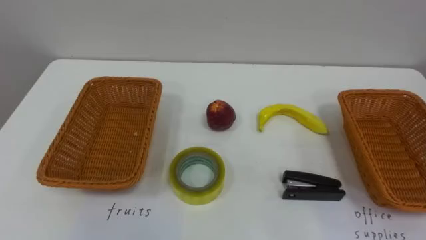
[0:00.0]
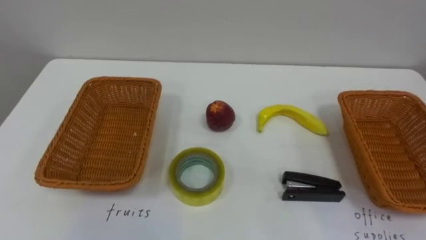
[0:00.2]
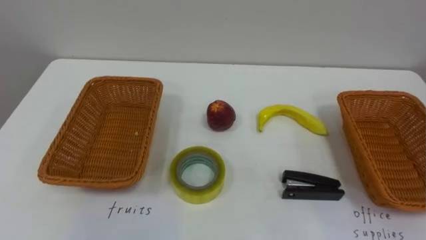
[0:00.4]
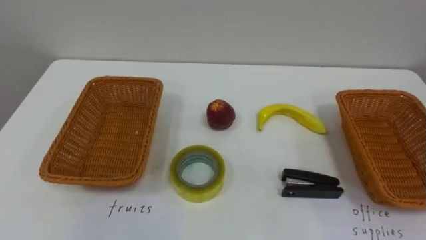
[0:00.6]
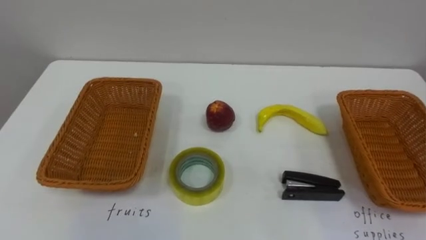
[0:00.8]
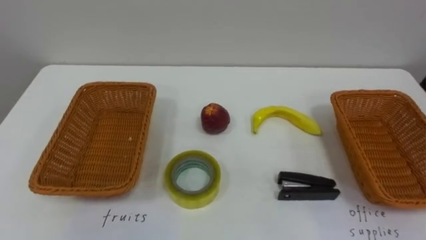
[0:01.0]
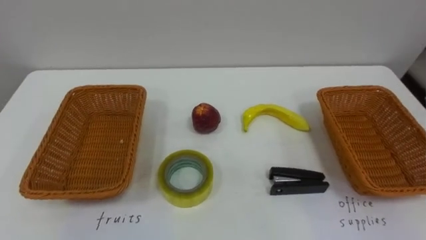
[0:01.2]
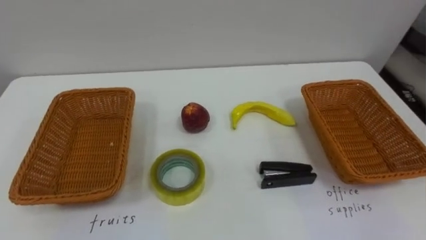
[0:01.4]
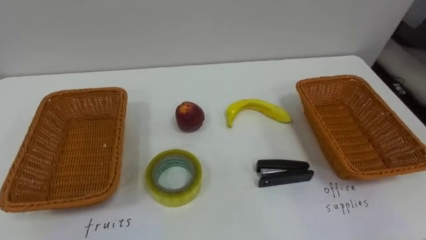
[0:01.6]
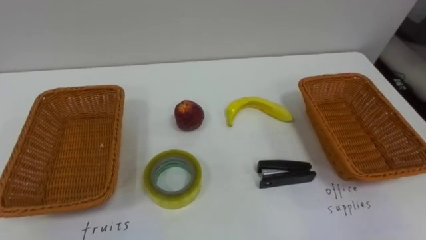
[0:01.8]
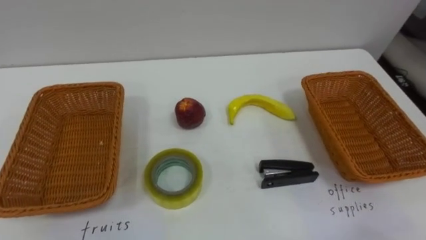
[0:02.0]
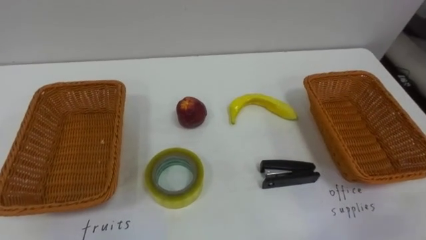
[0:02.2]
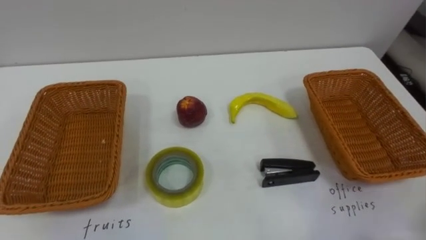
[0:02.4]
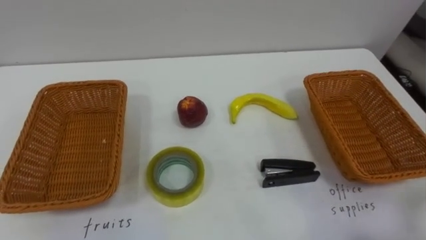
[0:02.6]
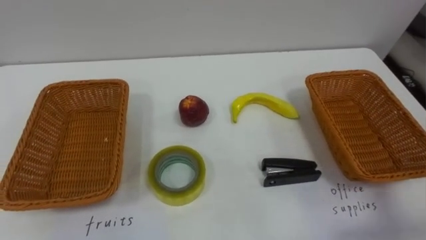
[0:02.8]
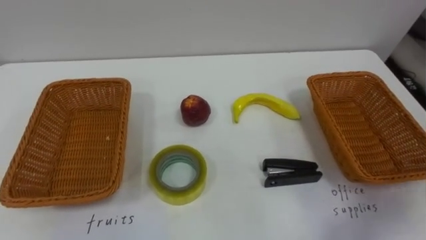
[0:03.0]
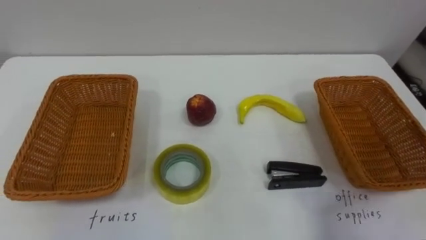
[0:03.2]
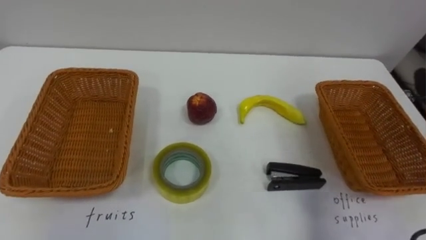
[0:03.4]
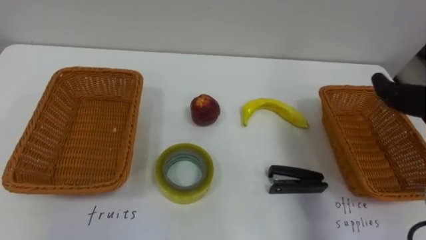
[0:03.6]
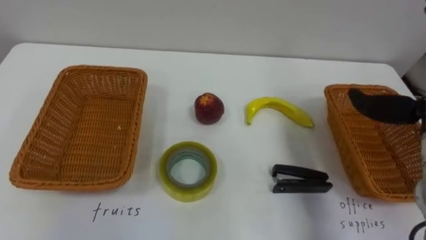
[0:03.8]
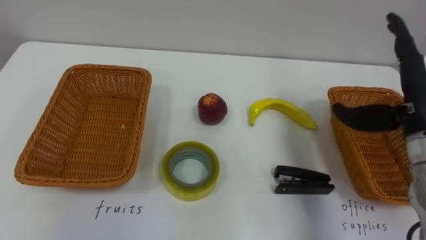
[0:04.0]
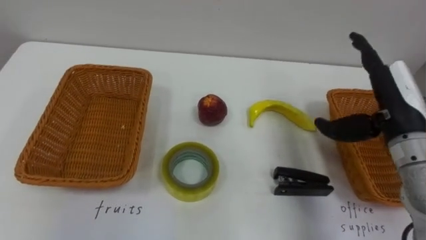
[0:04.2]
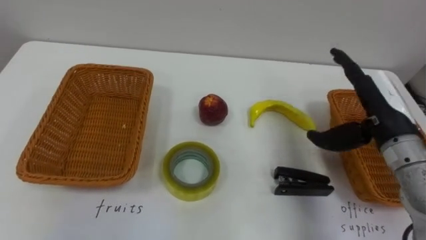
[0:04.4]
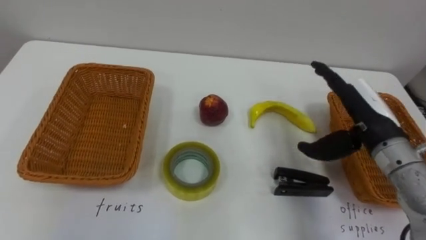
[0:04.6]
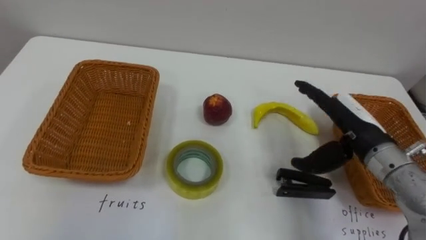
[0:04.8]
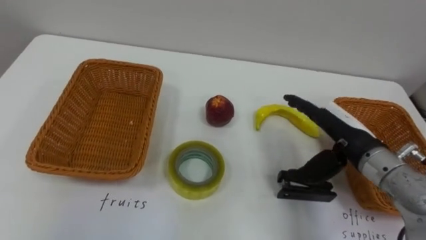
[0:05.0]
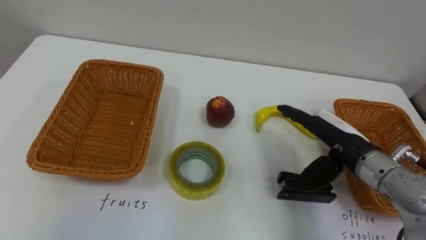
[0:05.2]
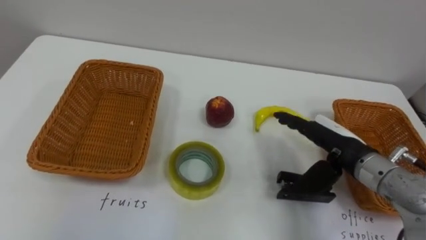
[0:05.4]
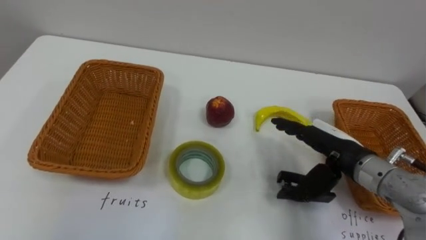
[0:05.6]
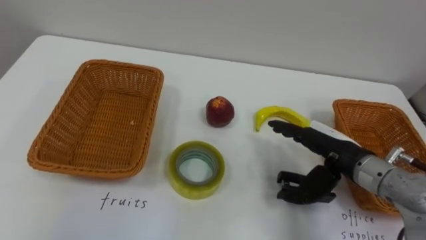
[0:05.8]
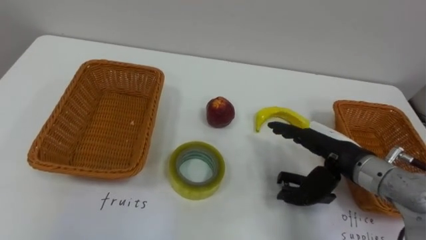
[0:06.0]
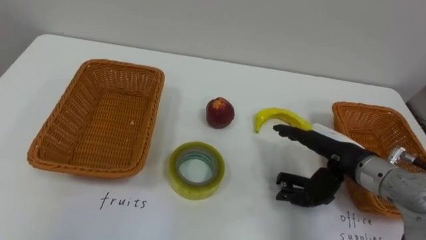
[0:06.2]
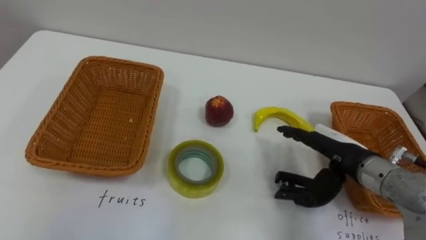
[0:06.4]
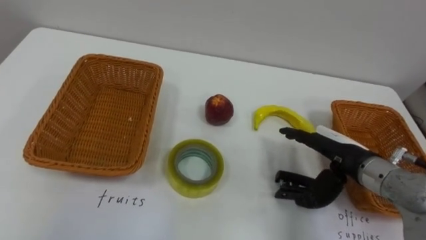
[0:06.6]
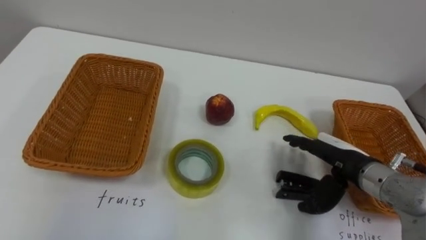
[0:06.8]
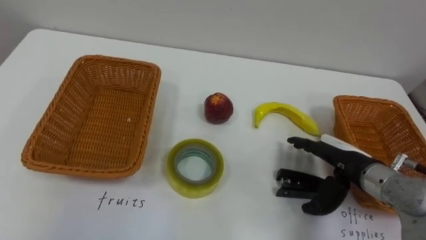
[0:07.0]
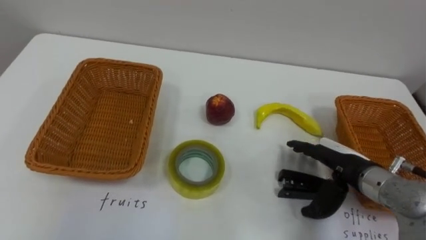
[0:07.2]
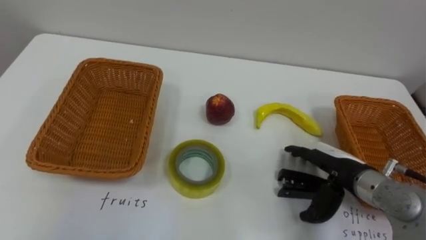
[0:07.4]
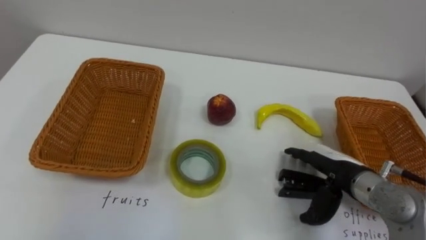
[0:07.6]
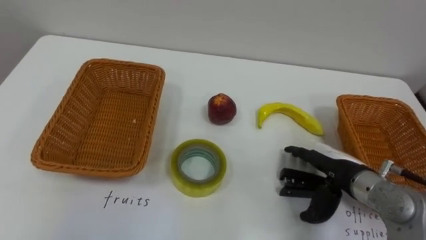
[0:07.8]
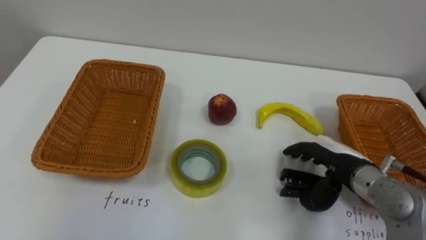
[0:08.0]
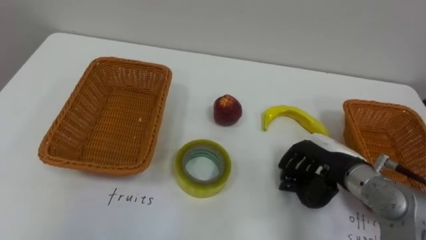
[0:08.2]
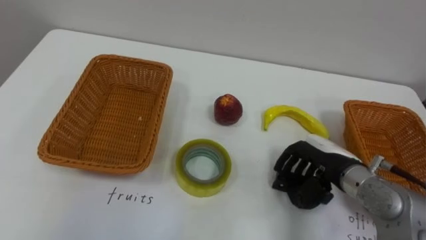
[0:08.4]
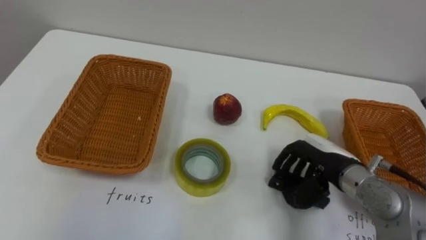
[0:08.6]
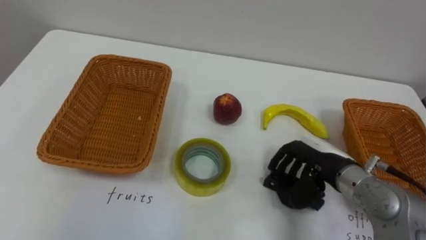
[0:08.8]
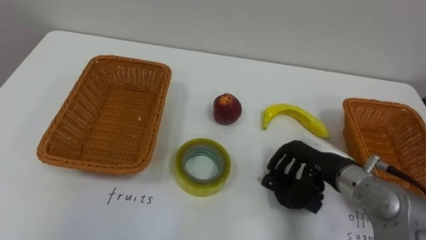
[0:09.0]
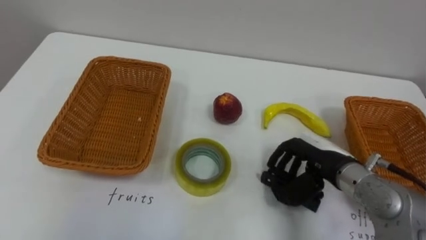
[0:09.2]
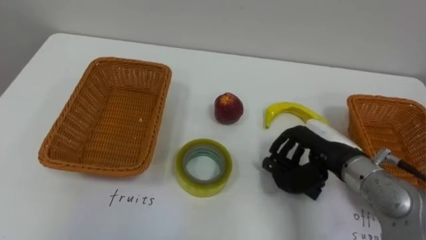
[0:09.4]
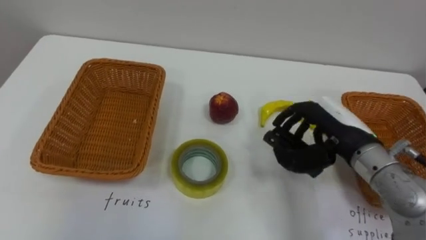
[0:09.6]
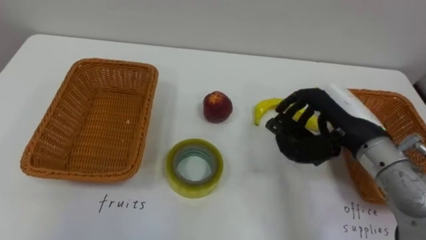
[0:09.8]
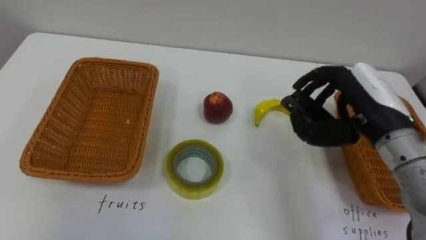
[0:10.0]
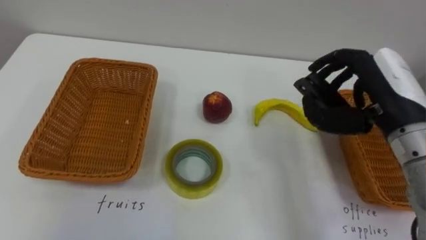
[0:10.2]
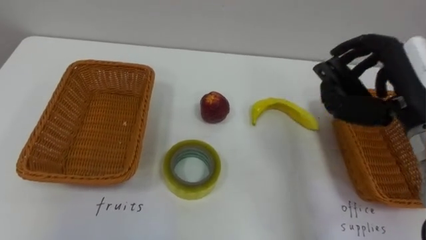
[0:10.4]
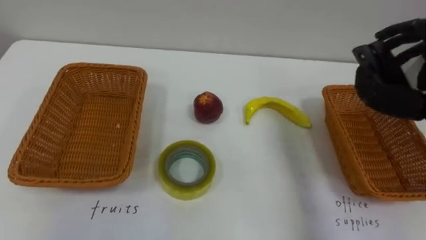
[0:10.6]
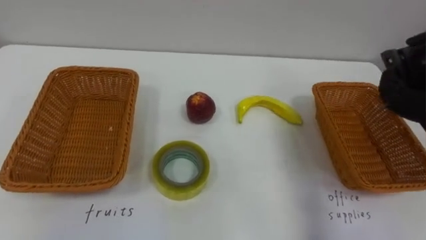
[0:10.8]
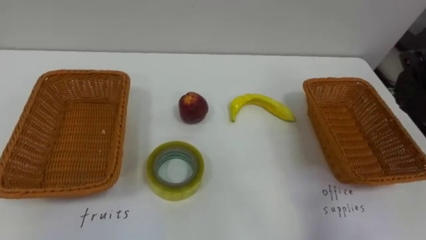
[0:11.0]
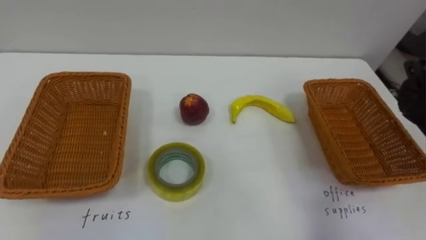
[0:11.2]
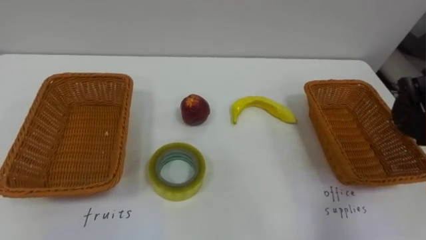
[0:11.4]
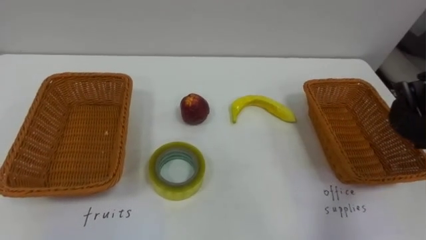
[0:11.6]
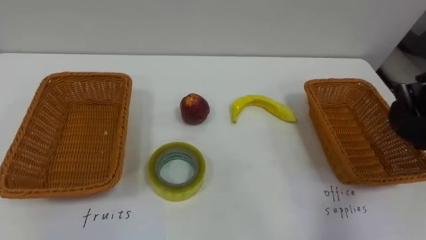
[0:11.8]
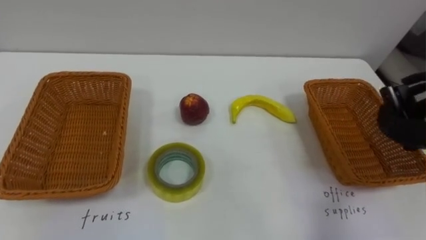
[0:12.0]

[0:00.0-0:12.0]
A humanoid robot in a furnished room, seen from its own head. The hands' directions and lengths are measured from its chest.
Task of the whole recording: Separate the items on the table and place them into the two baskets.
0:04.4 to 0:06.0: The right hand moves downward and to the left, roughly 10 cm.
0:06.0 to 0:07.6: The right hand moves roughly 5 cm.
0:07.6 to 0:09.0: The right hand closes up.
0:09.0 to 0:10.4: The right hand is displaced upward by about 15 cm.

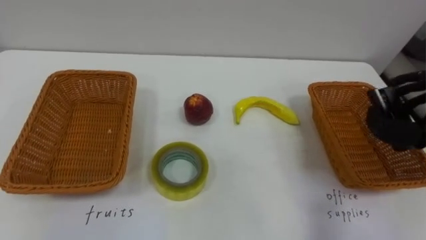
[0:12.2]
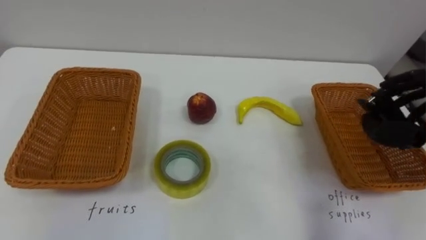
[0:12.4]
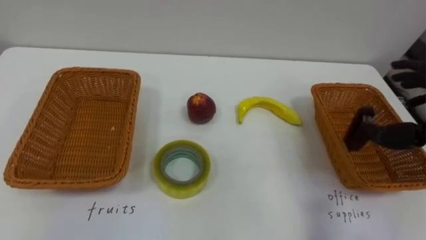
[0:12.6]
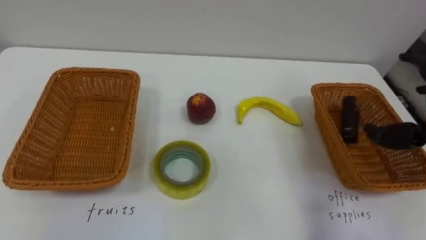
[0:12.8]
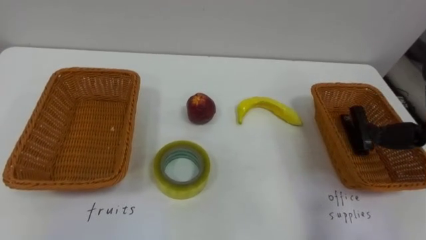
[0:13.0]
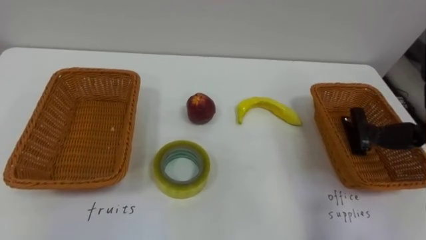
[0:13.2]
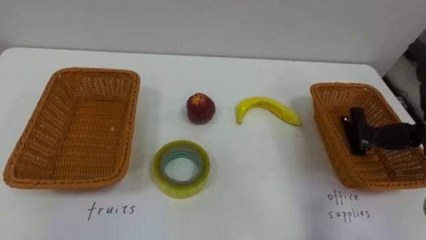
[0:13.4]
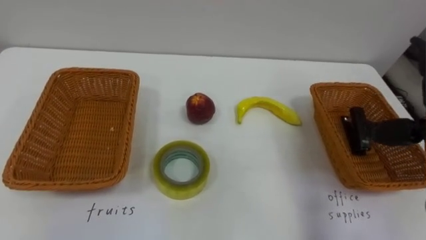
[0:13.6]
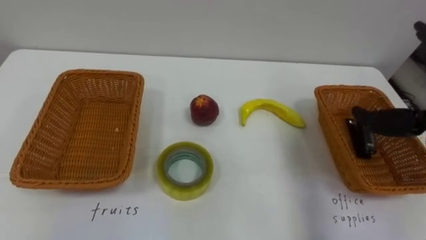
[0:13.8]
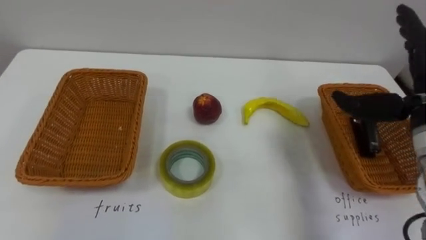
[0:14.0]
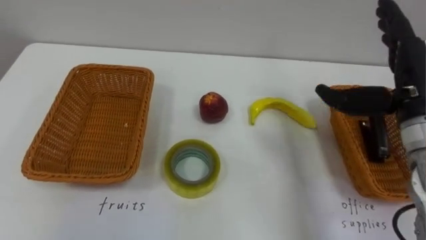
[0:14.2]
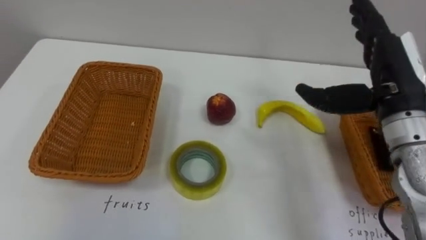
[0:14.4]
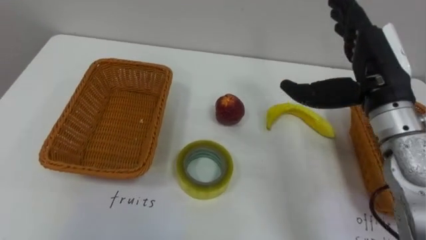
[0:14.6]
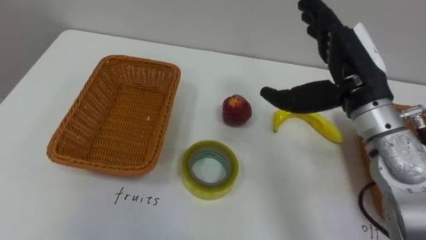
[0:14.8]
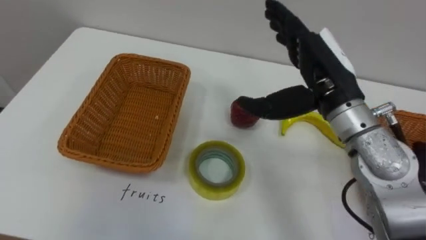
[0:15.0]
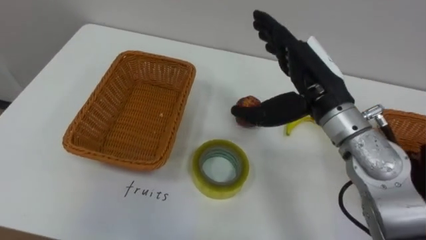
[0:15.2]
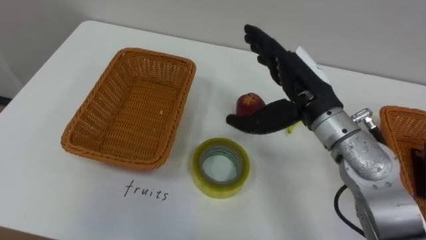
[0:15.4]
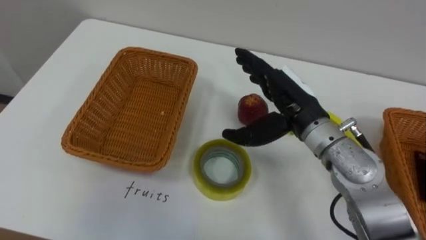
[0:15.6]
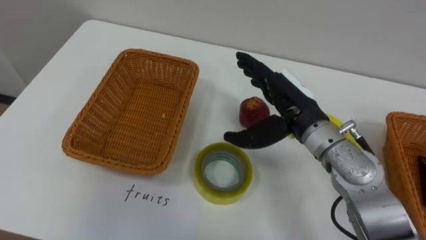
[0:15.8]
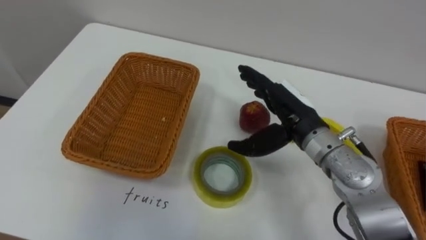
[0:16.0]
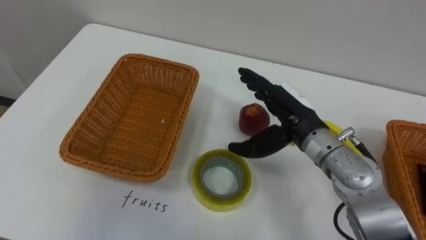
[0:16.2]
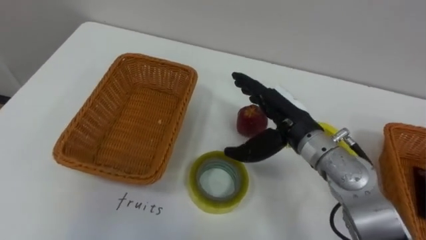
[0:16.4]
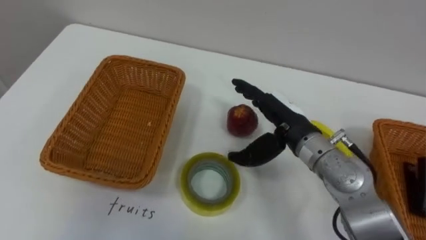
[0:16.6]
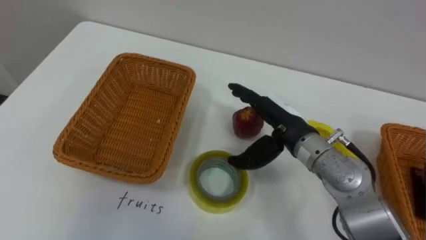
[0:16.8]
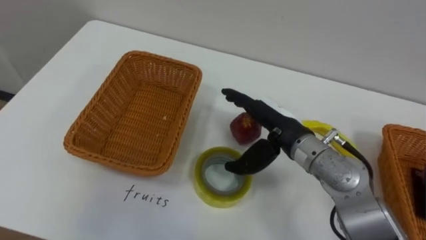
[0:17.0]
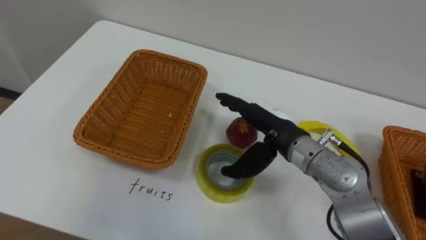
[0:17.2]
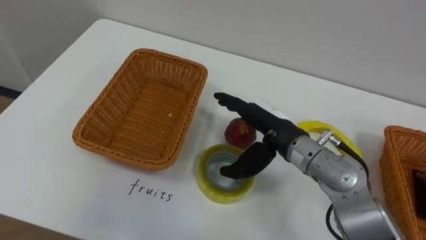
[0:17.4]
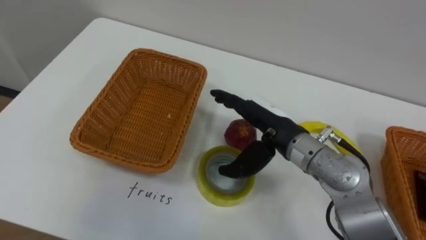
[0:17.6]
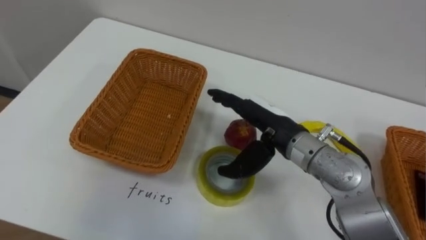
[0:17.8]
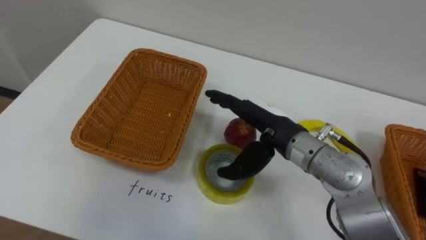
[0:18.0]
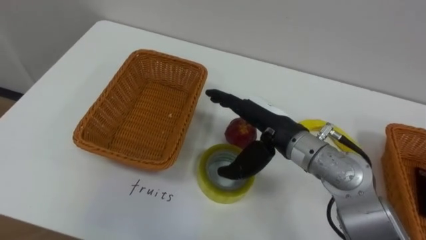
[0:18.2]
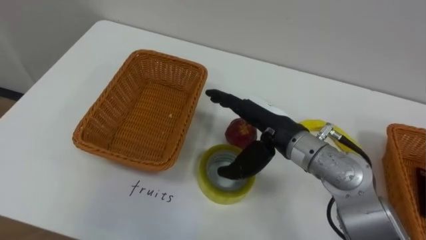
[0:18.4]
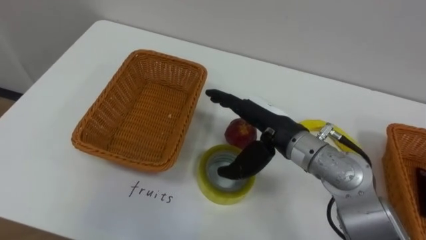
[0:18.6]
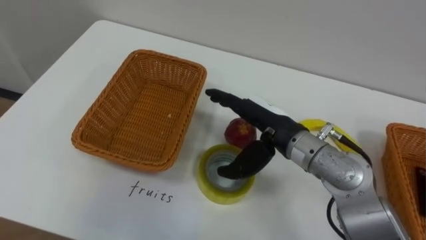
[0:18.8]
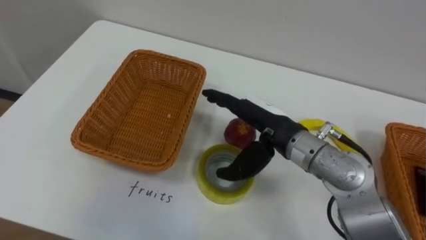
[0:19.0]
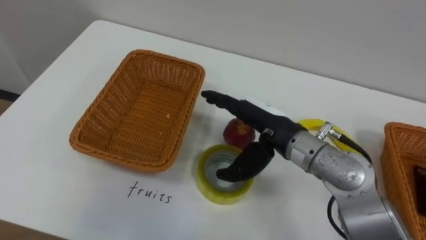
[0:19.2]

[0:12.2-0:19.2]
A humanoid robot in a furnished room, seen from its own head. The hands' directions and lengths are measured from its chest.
Task of the whole recording: Separate the items on the table and place them into the two baskets.
0:15.0 to 0:16.4: The right hand goes about 10 cm downward.
